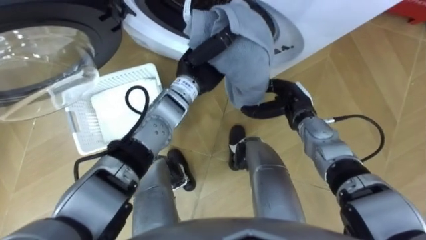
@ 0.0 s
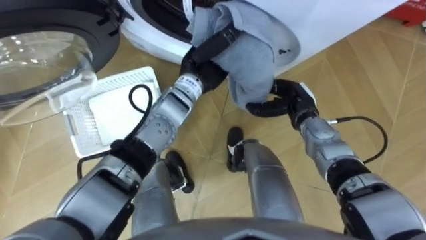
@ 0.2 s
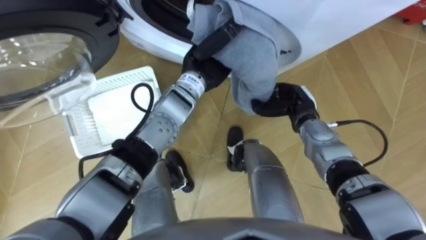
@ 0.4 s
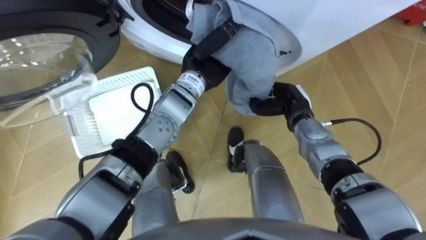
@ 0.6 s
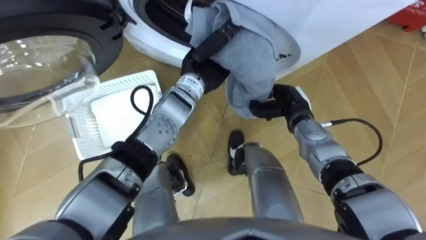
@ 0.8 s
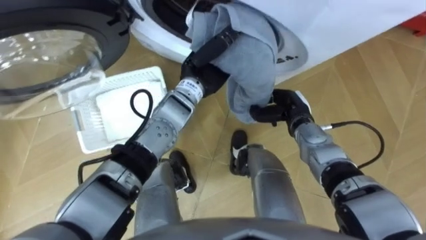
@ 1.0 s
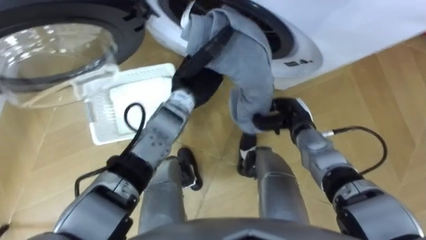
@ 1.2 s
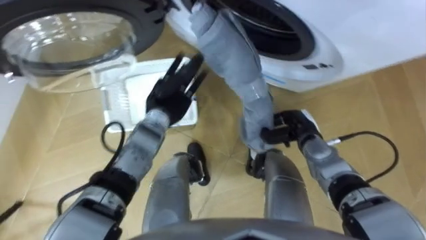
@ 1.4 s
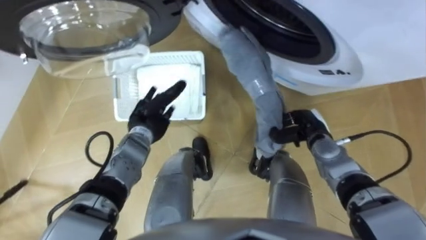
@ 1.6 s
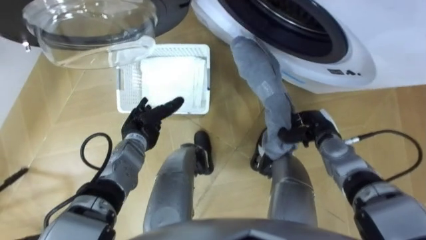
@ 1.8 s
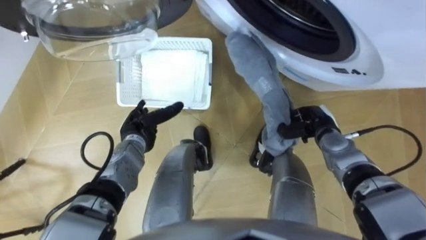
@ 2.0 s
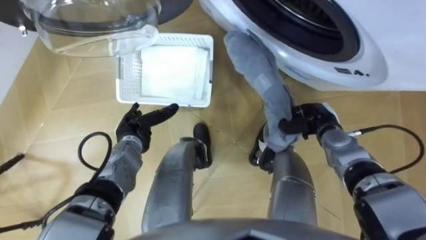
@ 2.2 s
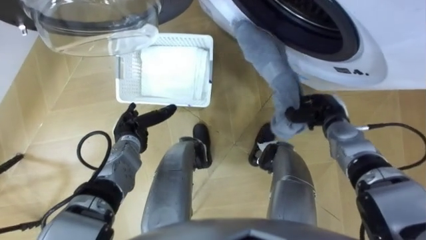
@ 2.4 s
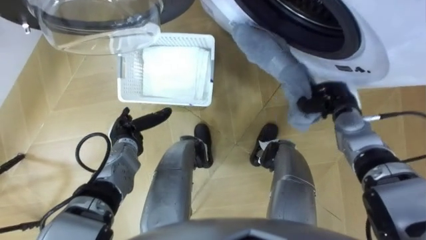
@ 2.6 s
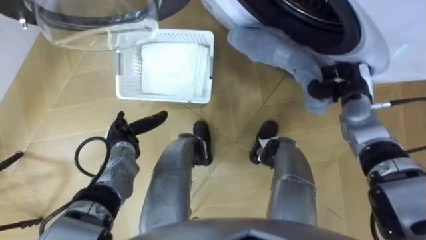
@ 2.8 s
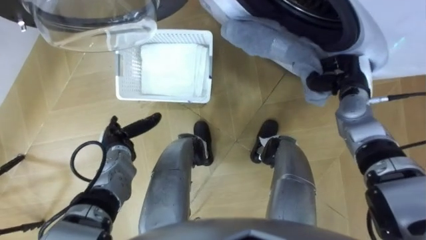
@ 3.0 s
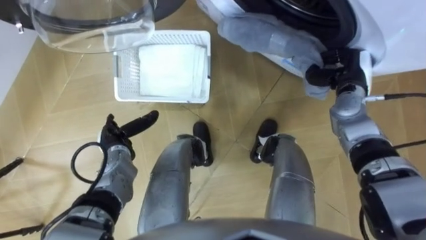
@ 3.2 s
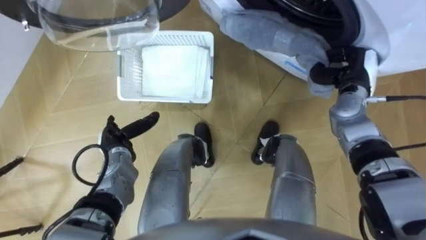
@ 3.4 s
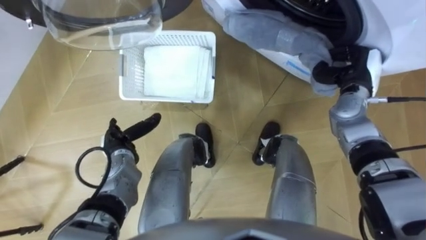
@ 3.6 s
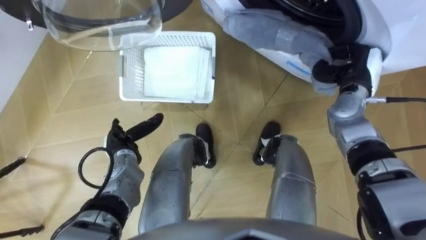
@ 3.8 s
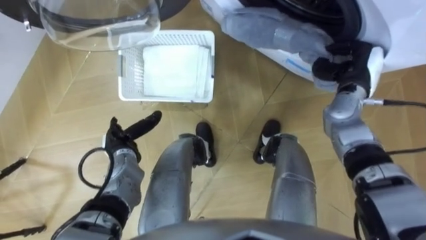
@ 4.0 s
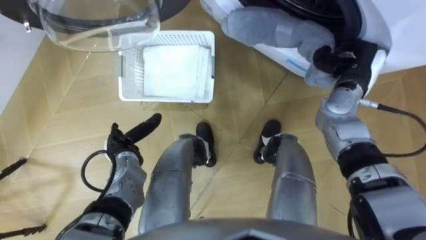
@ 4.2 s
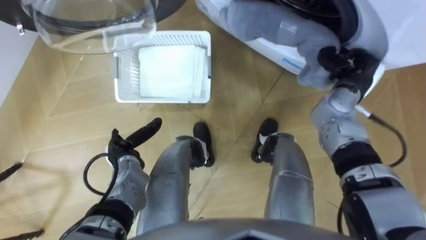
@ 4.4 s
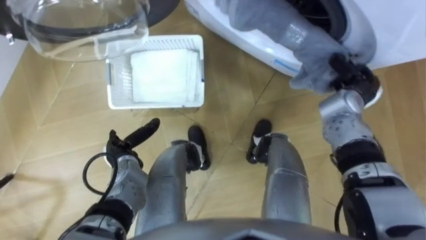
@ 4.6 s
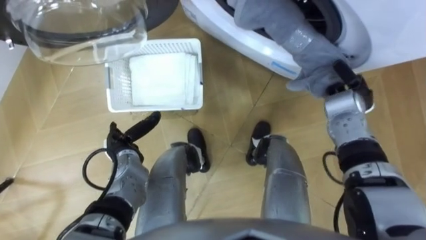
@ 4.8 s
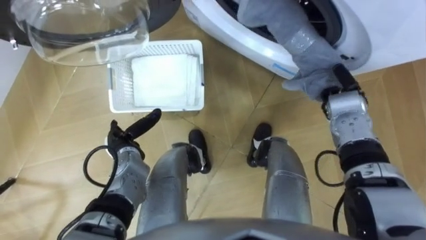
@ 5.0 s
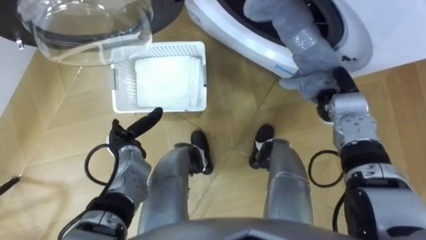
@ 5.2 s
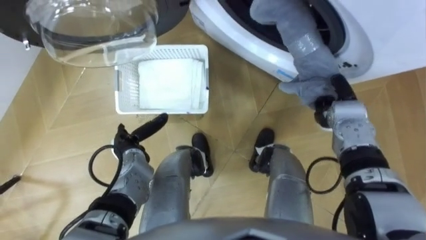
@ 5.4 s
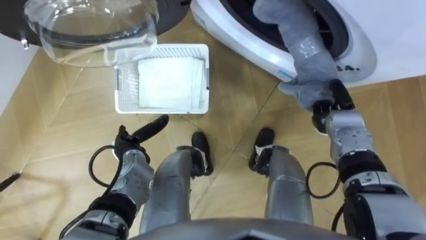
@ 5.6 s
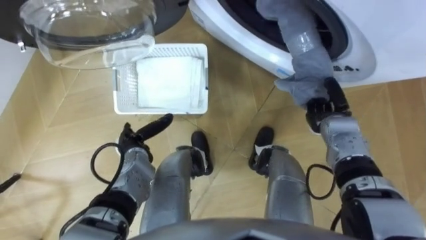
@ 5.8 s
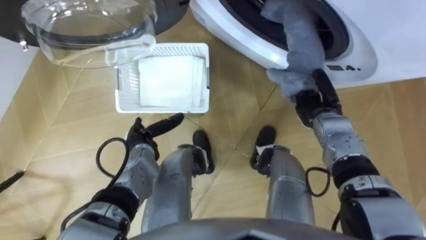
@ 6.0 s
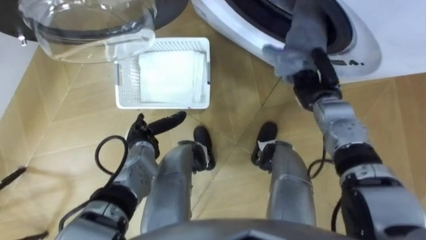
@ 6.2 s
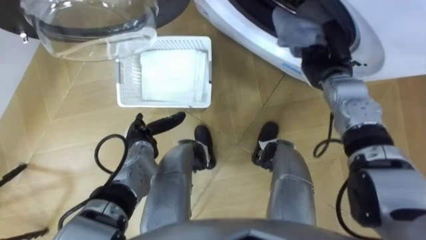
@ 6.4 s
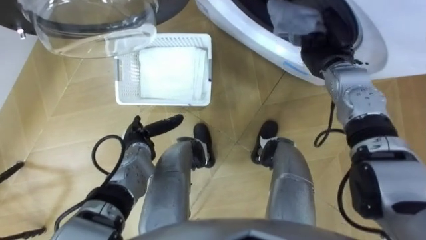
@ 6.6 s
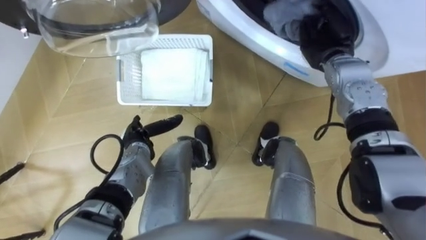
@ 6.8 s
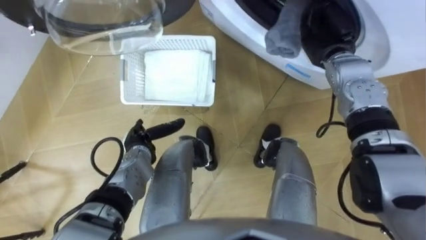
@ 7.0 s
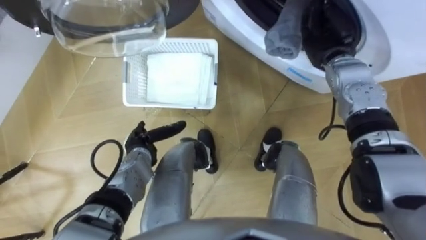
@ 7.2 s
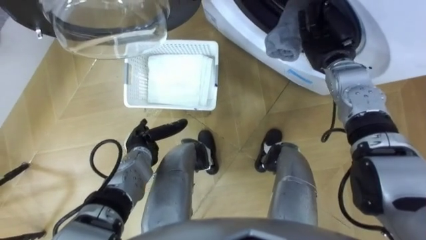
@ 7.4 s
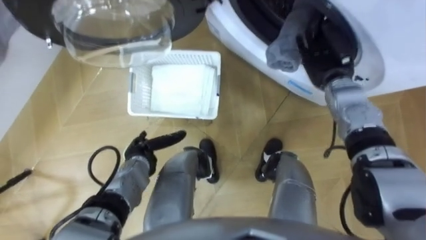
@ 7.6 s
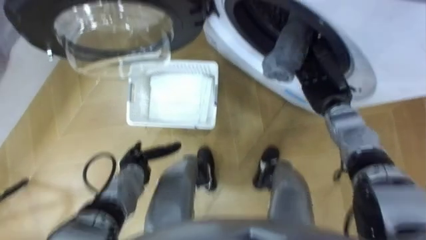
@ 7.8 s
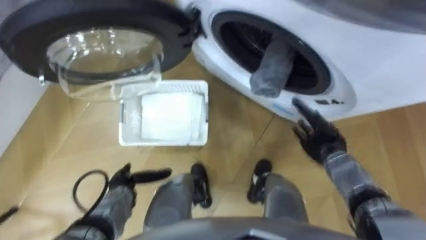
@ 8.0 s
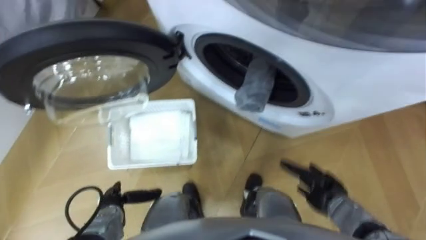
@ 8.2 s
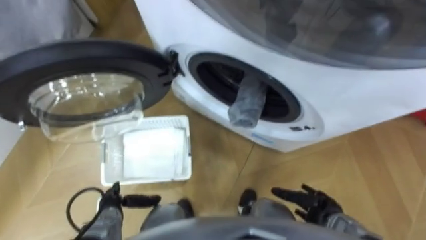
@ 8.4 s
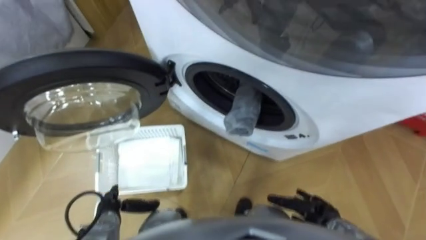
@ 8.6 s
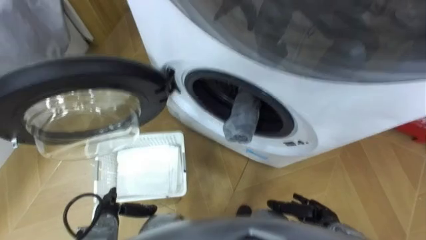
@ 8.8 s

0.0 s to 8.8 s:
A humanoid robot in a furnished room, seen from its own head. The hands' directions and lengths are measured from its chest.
Task of the whole recording: Take the towel from the basket and put it into the washing machine.
0.0 to 1.4 s: The left hand moves downward and to the left, approximately 10 cm, and opens its fingers; the right hand changes place by roughly 5 cm, and closes.
1.4 to 3.0 s: The right hand goes approximately 15 cm upward, to the right and forward. The left hand moves to the left, downward and backward, some 15 cm.
4.4 to 5.8 s: The right hand moves downward, roughly 10 cm.
5.8 to 7.4 s: The right hand shifts about 15 cm forward and upward, and opens.
7.4 to 8.8 s: The right hand heads backward and downward, covering about 40 cm. The left hand is displaced backward and to the left by approximately 15 cm.

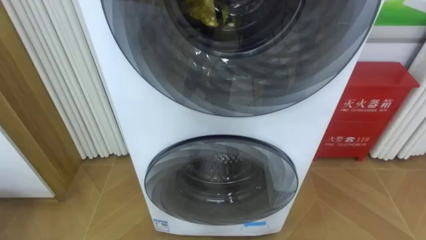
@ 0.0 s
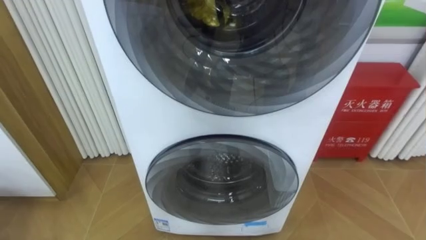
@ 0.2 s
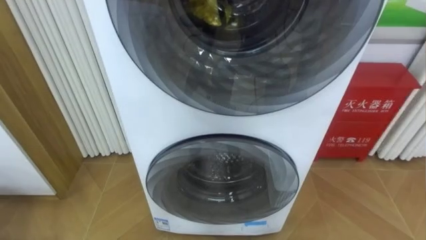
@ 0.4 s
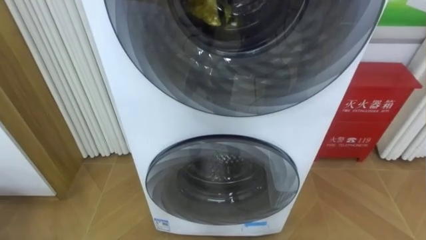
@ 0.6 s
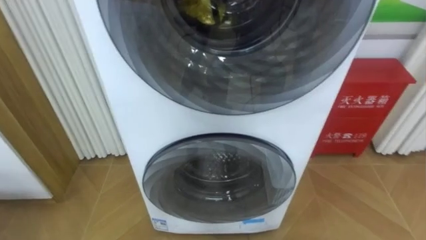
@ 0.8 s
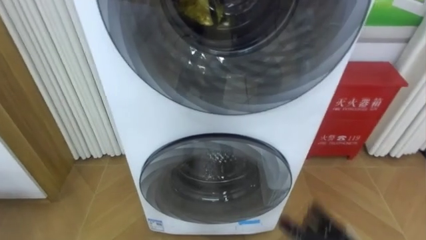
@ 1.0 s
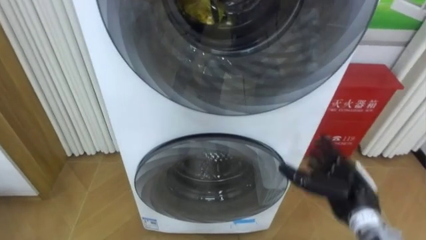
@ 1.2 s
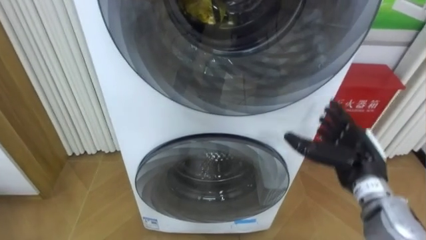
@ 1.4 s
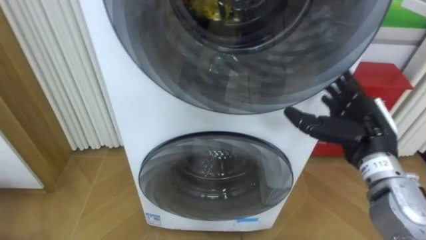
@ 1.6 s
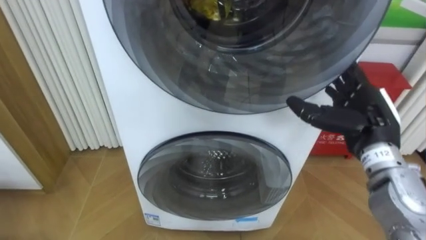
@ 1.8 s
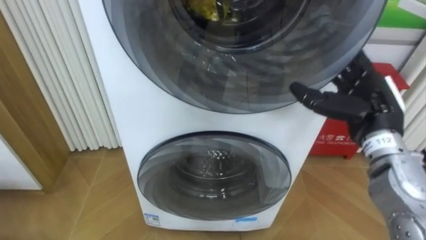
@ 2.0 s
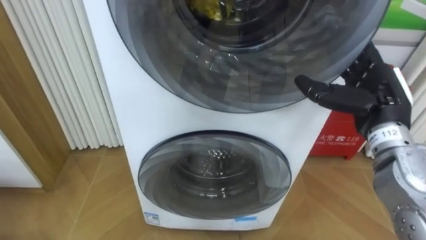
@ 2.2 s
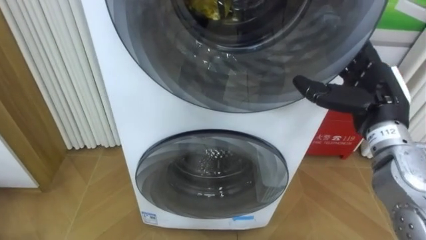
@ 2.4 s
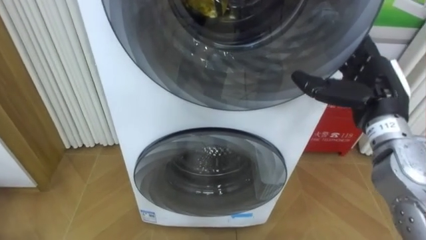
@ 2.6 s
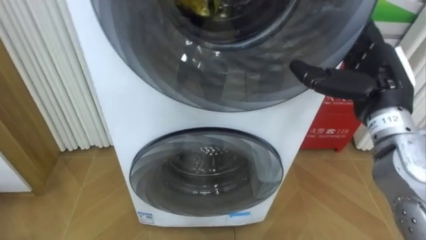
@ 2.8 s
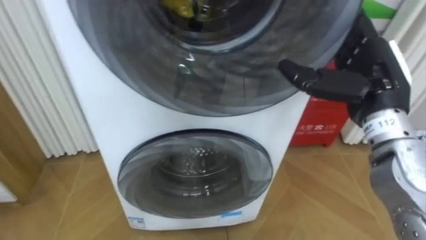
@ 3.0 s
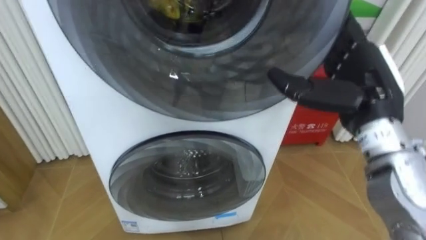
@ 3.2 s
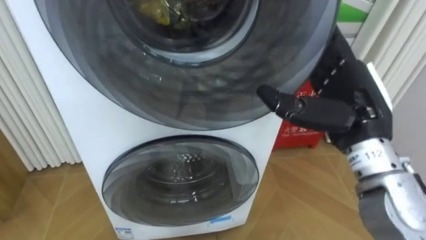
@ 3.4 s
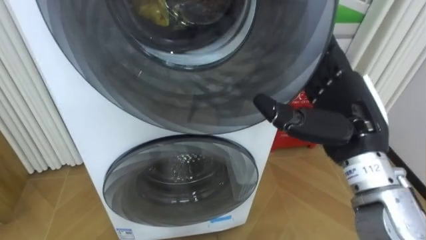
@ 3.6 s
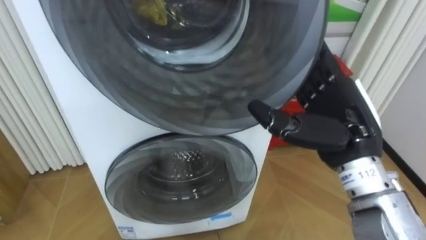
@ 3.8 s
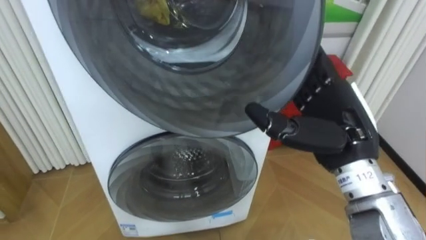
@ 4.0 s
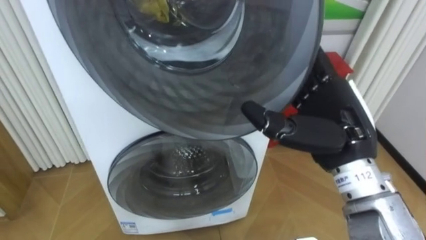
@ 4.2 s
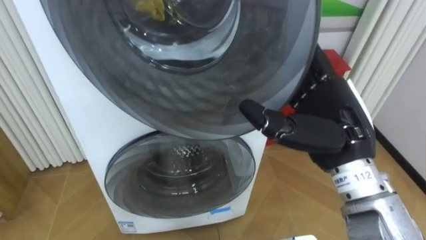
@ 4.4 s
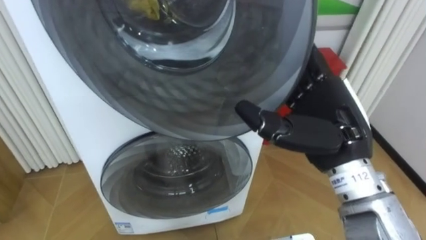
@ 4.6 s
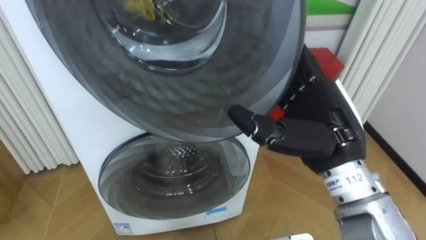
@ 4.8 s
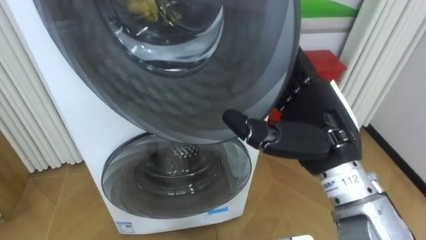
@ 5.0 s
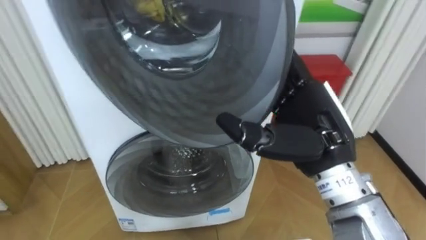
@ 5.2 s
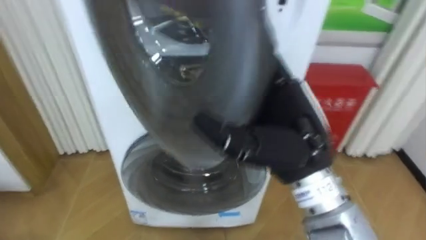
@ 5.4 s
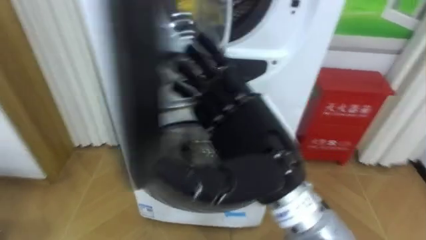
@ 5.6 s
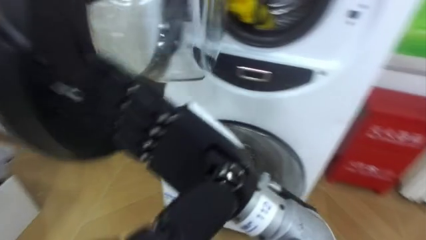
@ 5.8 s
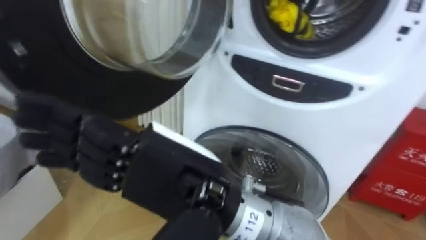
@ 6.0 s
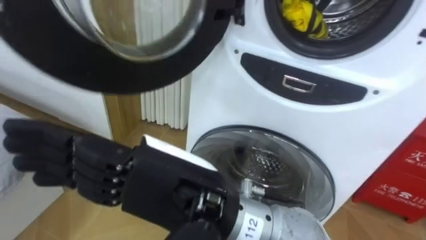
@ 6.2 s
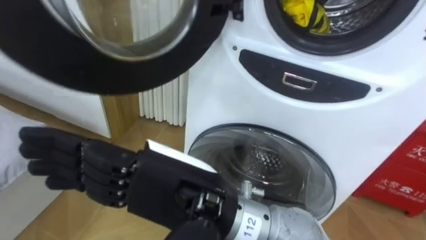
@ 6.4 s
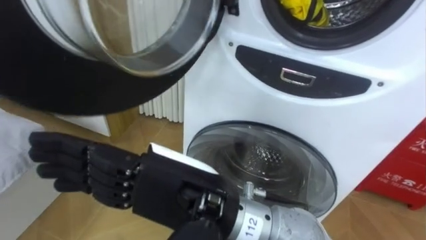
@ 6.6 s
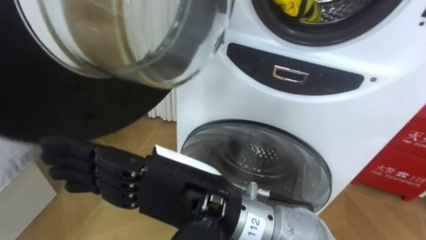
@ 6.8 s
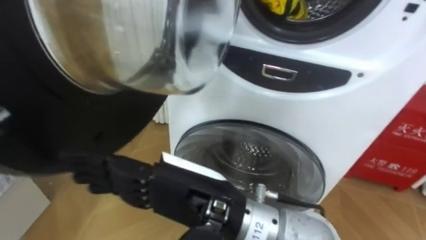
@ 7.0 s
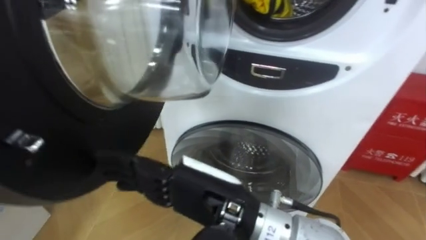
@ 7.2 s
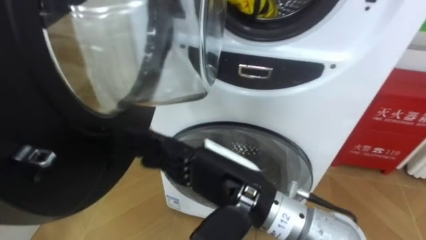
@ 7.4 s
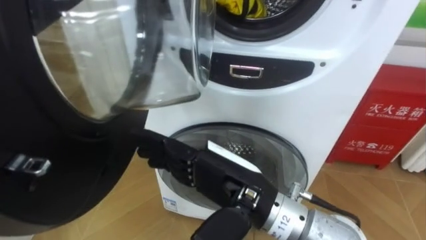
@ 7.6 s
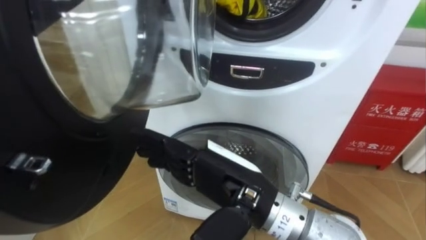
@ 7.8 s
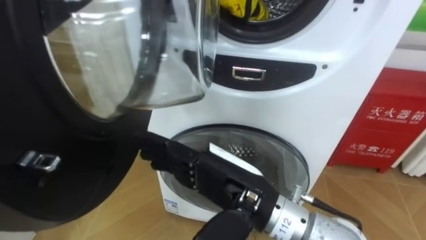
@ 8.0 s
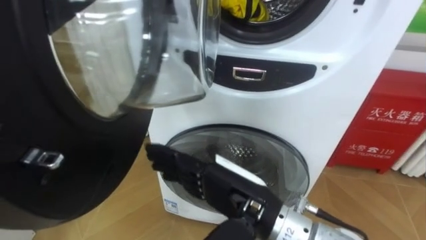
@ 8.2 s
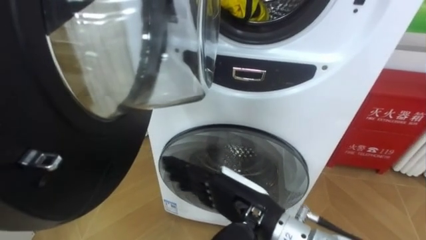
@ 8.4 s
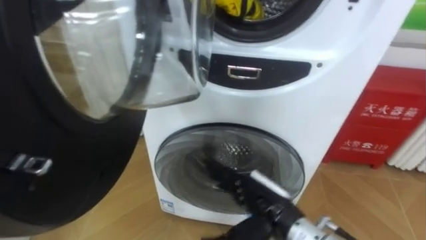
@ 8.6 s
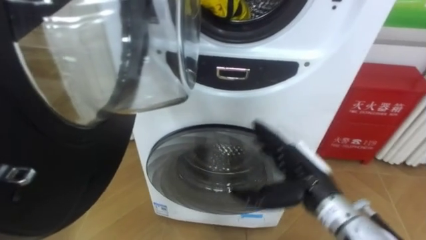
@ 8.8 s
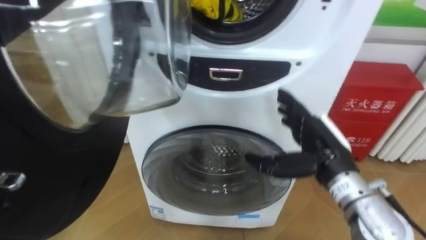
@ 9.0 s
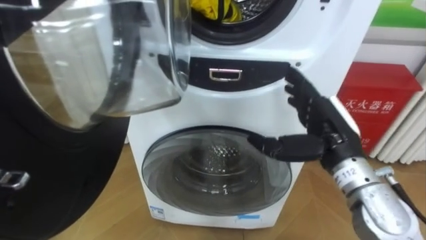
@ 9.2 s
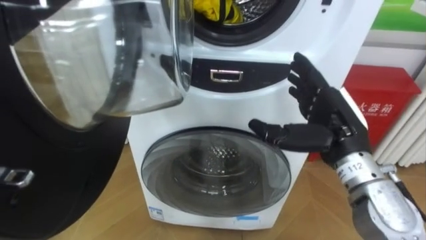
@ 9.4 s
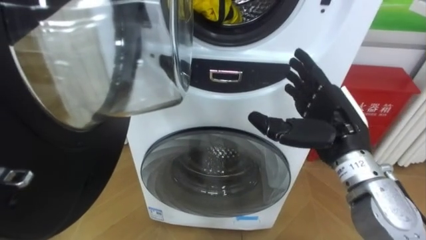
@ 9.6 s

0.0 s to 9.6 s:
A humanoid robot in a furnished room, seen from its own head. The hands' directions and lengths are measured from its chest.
Task of the whole recording: Open the washing machine door, take out the yellow clothes, place them in the box on the right, and close the washing machine door.
1.6 to 3.2 s: The right hand heads upward, covering approximately 10 cm.
3.2 to 4.8 s: The right hand moves to the left, approximately 5 cm.
4.8 to 6.4 s: The right hand shifts some 20 cm to the left and backward.
6.4 to 8.0 s: The right hand is displaced downward and to the right by approximately 10 cm.
8.0 to 9.6 s: The right hand is displaced to the right and forward by approximately 20 cm.
